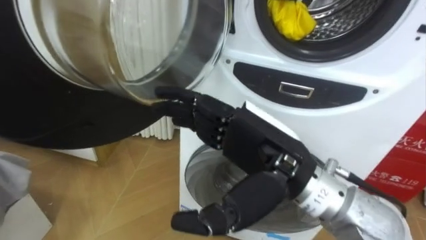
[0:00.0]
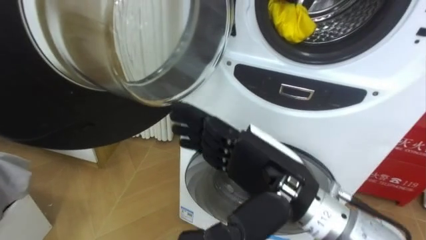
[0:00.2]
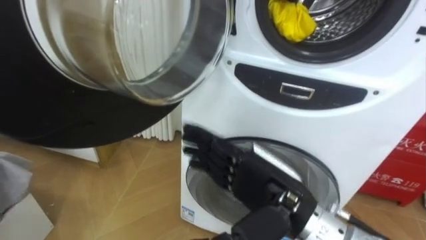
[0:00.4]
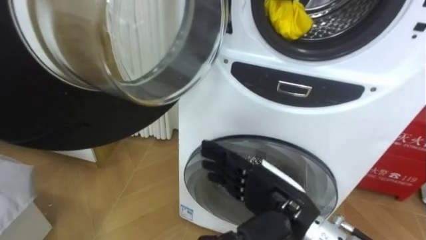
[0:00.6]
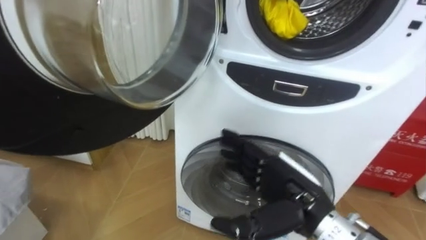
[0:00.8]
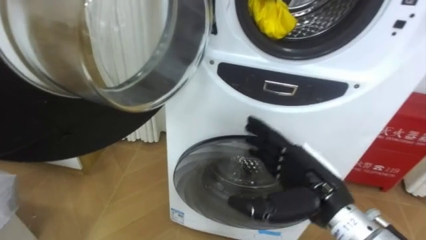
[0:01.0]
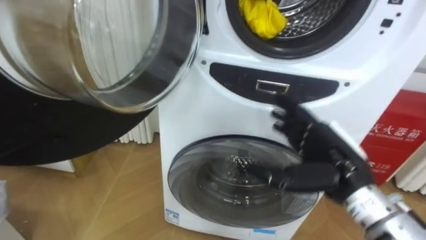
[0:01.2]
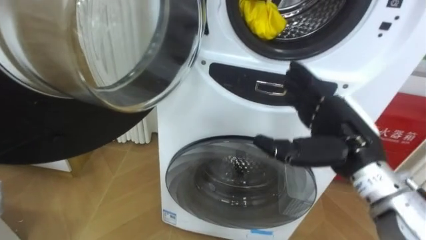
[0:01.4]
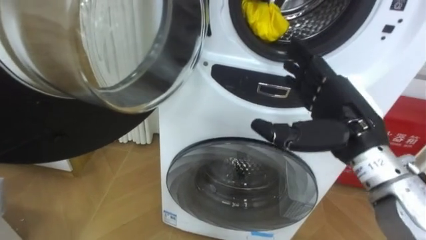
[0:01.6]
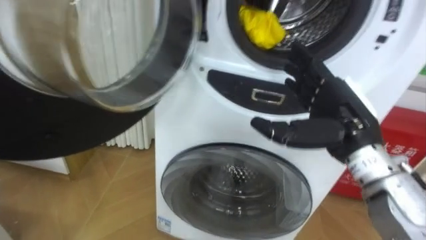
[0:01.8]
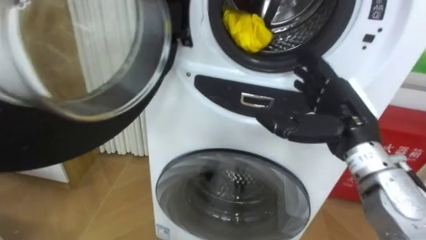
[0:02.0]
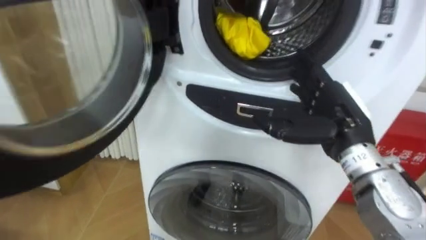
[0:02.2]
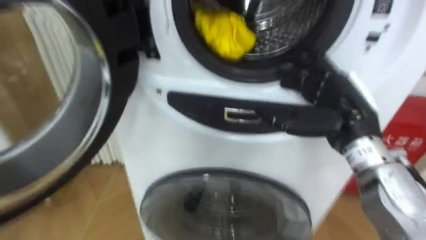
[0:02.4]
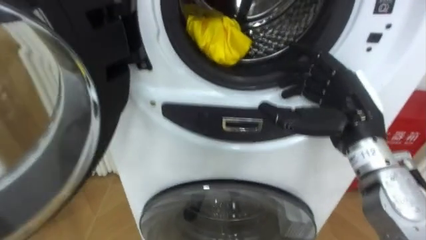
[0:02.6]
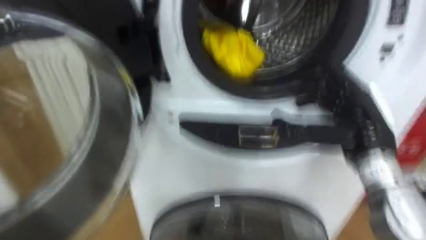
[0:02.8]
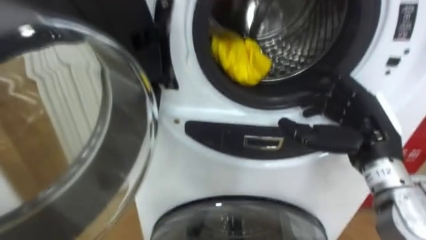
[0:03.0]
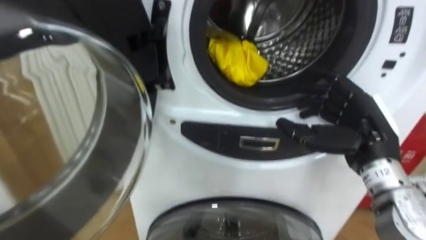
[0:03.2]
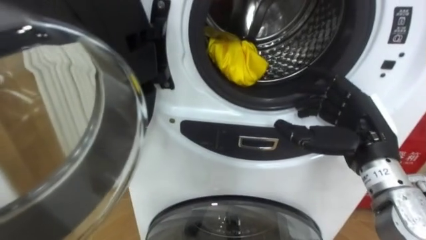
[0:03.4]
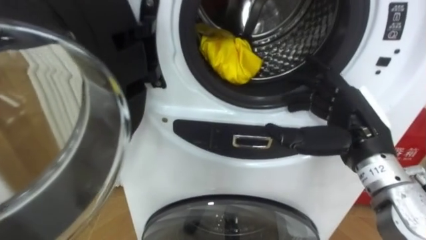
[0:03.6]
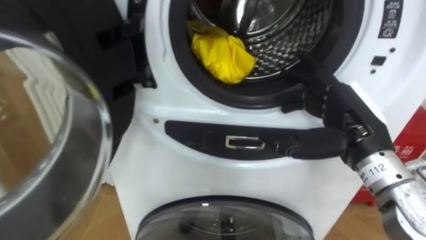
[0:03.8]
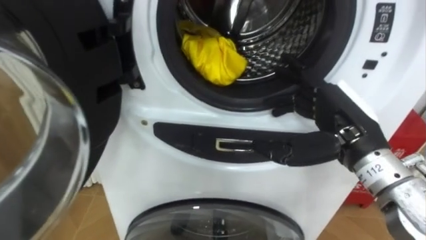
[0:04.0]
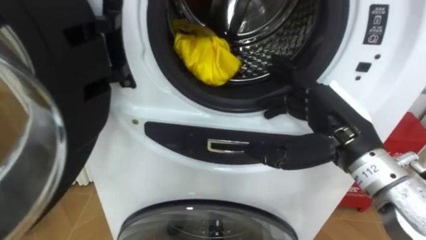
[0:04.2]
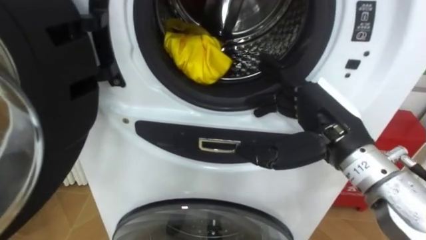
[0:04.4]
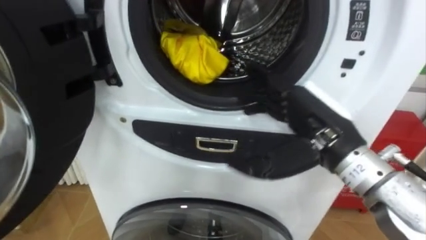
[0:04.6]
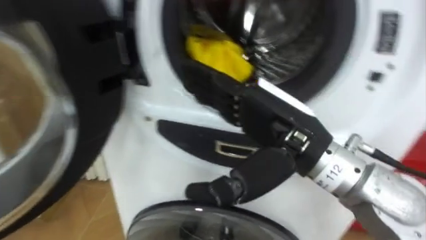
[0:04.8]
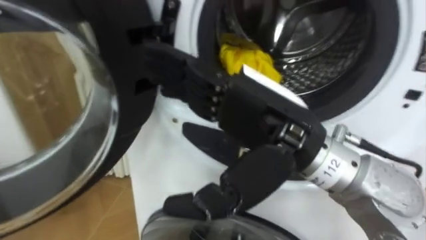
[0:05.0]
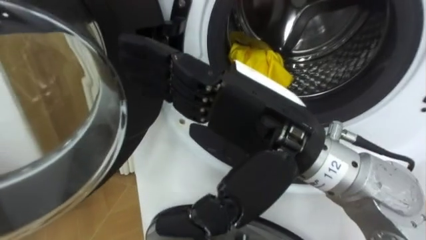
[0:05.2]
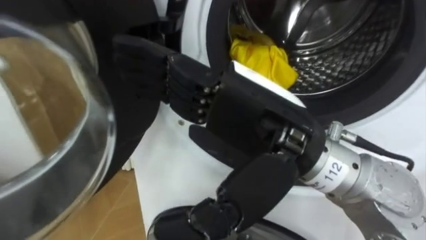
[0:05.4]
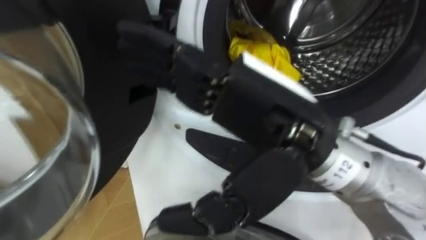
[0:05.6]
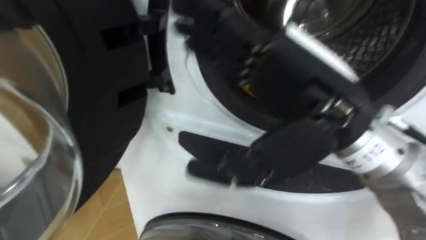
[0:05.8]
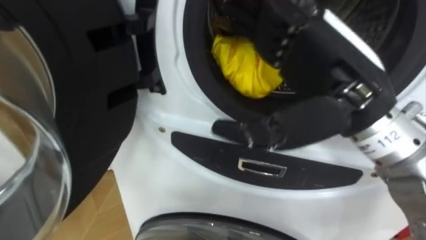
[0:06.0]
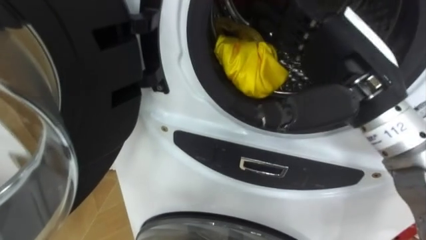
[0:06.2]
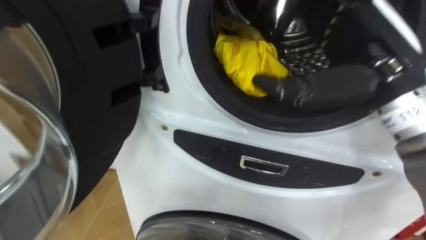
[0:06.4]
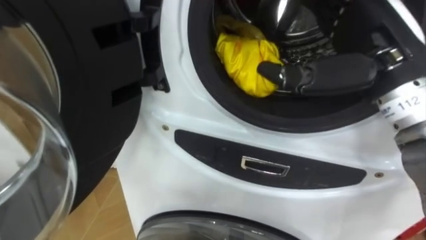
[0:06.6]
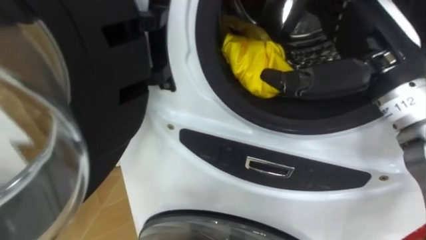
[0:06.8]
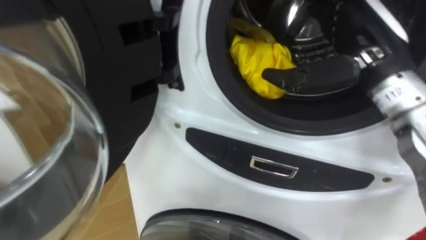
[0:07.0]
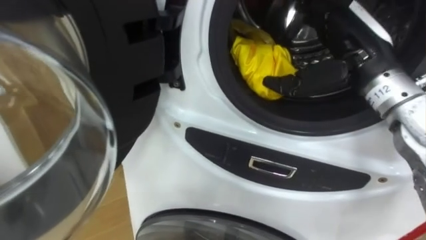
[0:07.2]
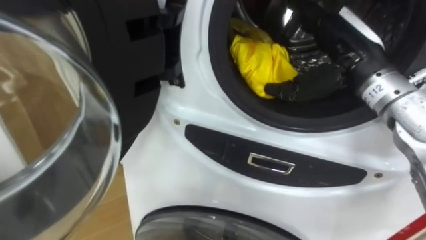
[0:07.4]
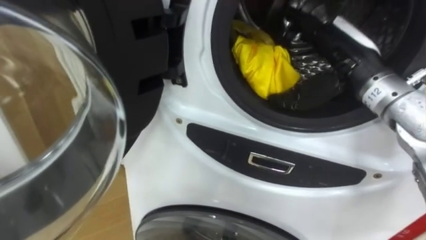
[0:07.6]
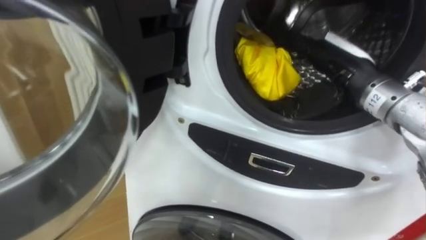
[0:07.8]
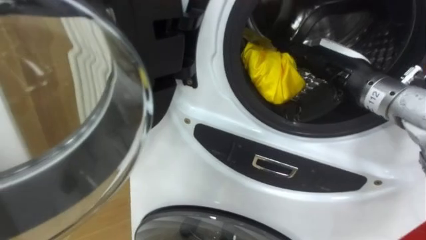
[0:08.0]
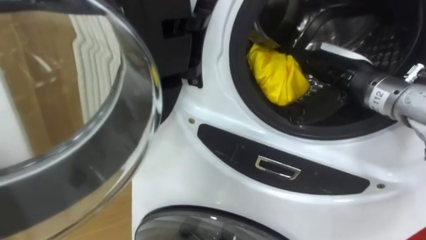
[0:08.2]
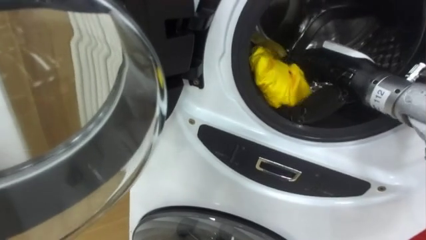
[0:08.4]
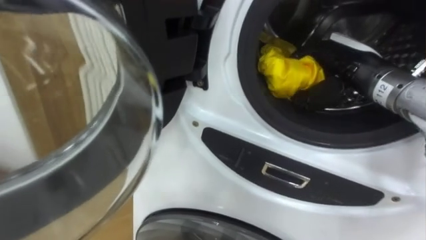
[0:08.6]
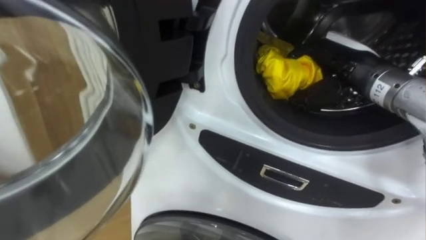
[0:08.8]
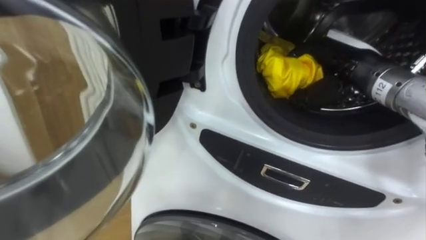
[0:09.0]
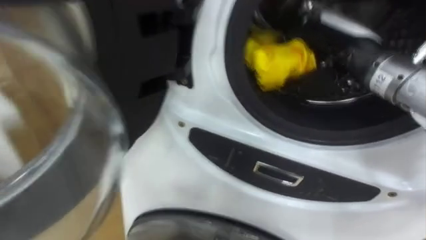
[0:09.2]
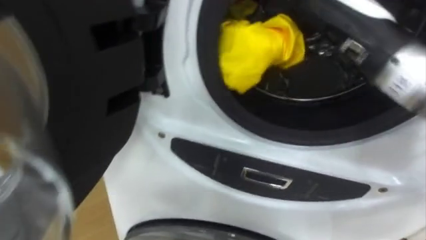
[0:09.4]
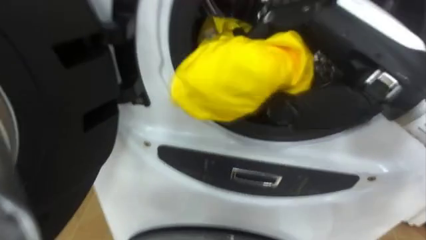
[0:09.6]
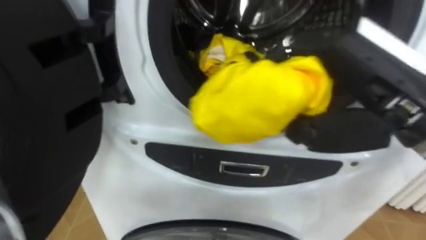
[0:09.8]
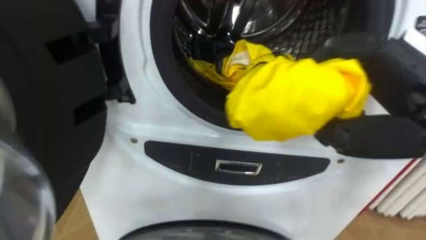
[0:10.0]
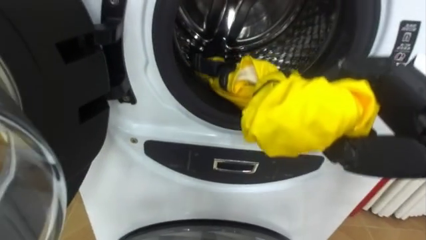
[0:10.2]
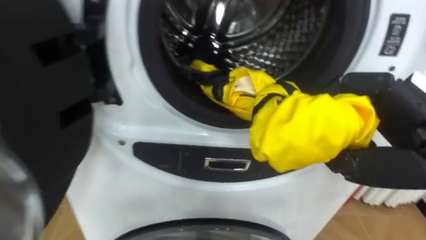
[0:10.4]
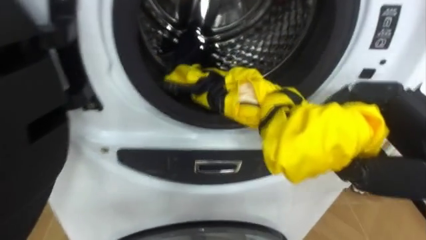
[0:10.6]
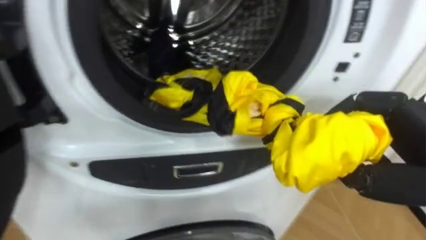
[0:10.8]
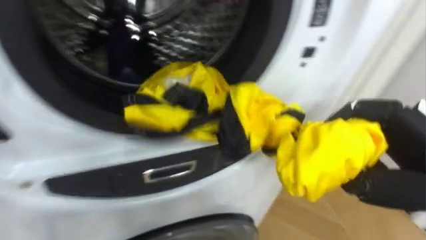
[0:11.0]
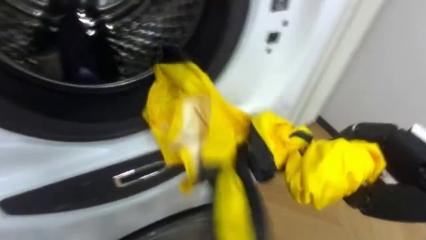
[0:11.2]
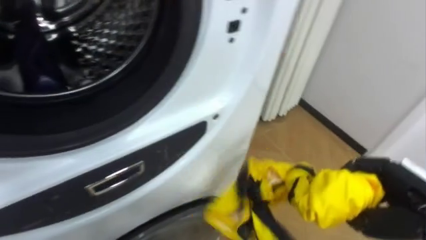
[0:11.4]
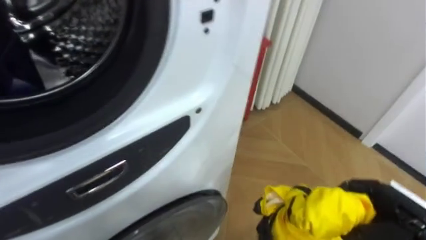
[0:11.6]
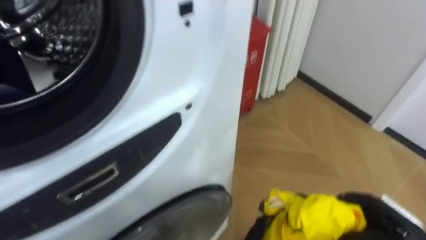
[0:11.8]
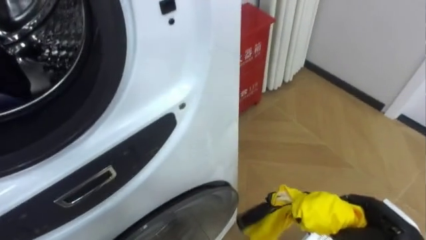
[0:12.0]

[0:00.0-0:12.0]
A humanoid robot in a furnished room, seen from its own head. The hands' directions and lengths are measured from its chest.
Task of the whole recording: Open the washing machine door, take out the yellow clothes, place them in the box on the right, and close the washing machine door.
0:00.0 to 0:01.6: The right hand heads to the right and forward, covering about 15 cm.
0:01.6 to 0:03.0: The right hand shifts by roughly 5 cm.
0:03.0 to 0:04.4: The right hand heads to the left, covering some 10 cm.
0:04.4 to 0:06.0: The right hand shifts roughly 10 cm upward, and reaches approximately 10 cm to the left, then returns.
0:06.0 to 0:07.6: The right hand moves forward and to the right, some 15 cm.
0:07.6 to 0:09.0: The right hand closes its fingers.
0:09.0 to 0:10.4: The right hand shifts about 15 cm backward.
0:10.4 to 0:12.0: The robot rotates some 25 degrees to its right. The right hand is displaced downward by about 25 cm.

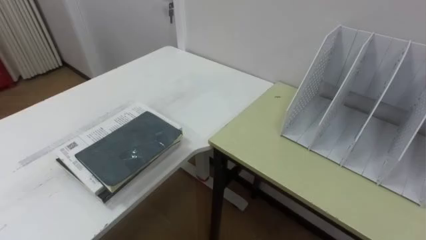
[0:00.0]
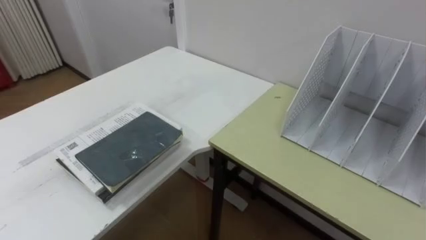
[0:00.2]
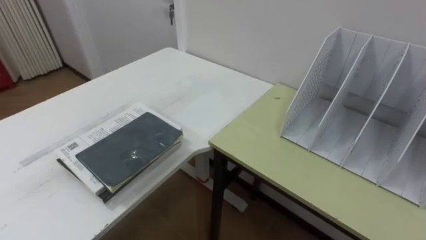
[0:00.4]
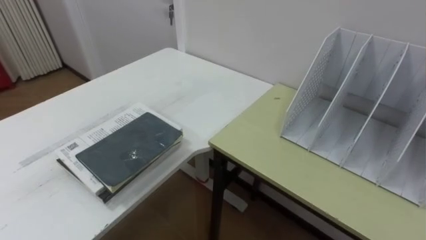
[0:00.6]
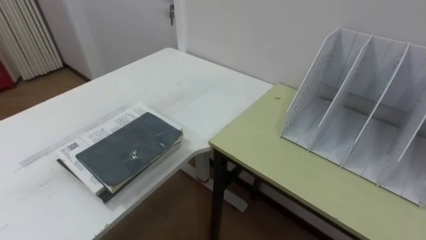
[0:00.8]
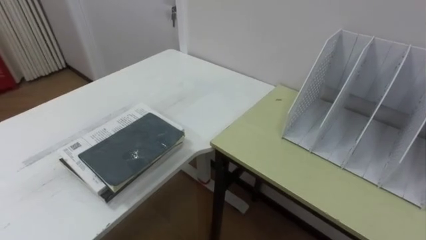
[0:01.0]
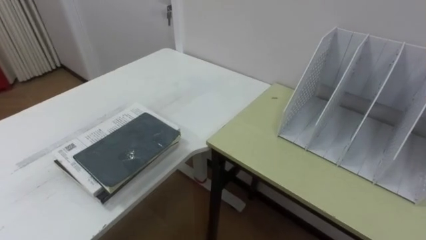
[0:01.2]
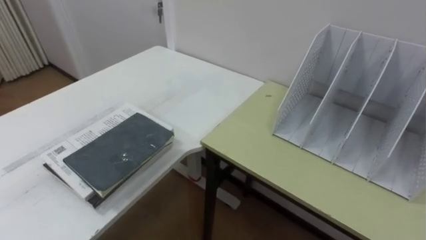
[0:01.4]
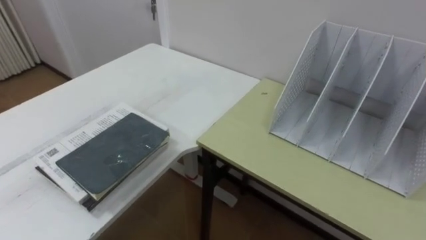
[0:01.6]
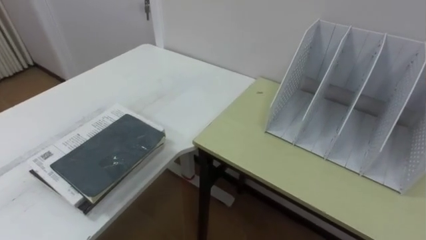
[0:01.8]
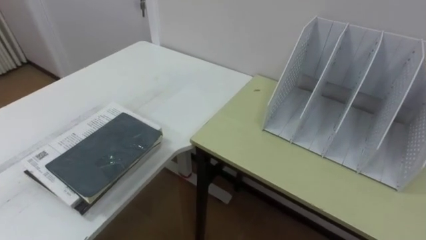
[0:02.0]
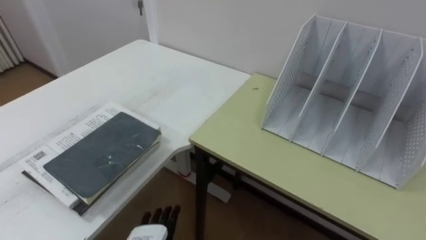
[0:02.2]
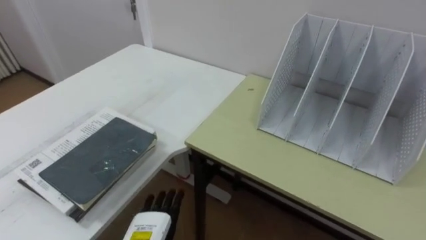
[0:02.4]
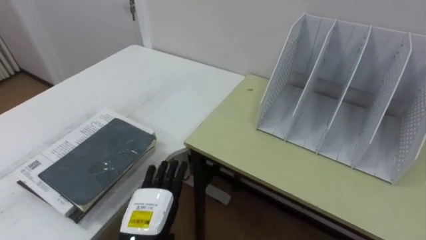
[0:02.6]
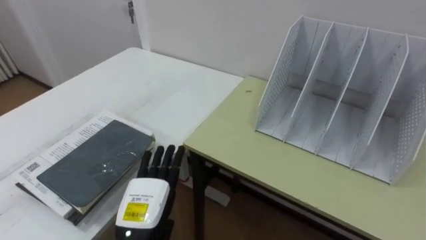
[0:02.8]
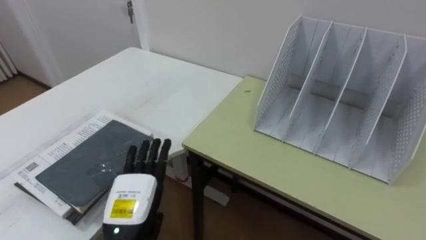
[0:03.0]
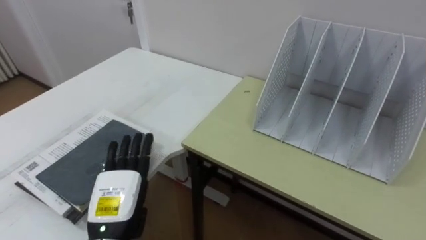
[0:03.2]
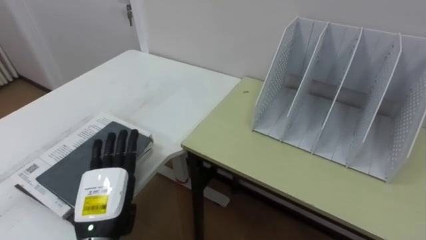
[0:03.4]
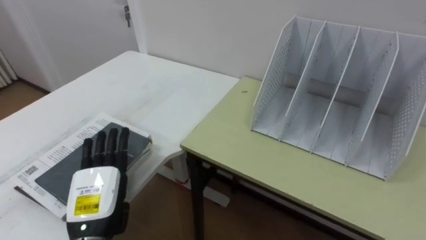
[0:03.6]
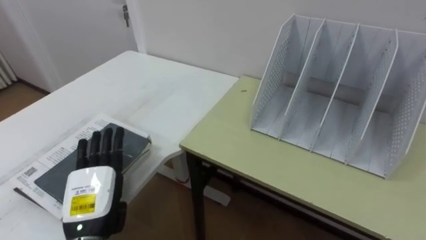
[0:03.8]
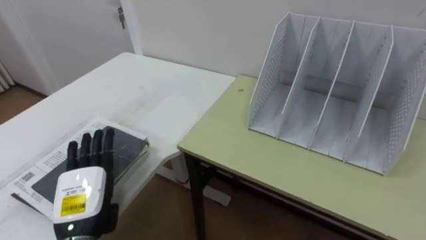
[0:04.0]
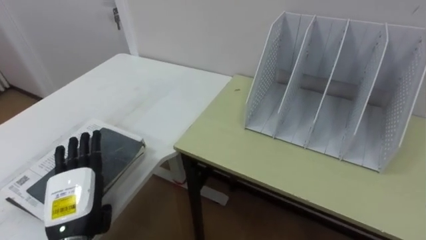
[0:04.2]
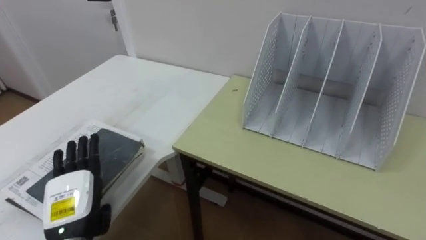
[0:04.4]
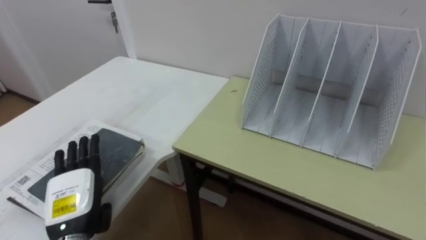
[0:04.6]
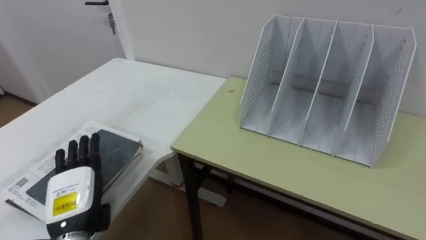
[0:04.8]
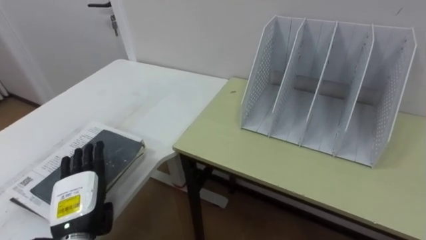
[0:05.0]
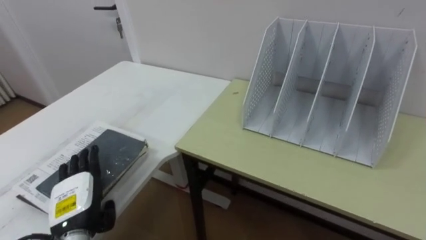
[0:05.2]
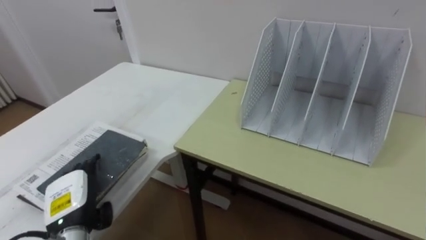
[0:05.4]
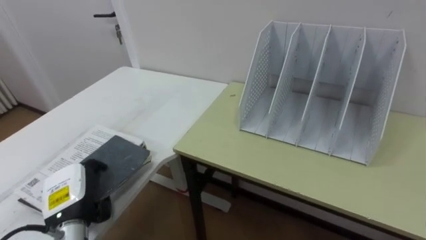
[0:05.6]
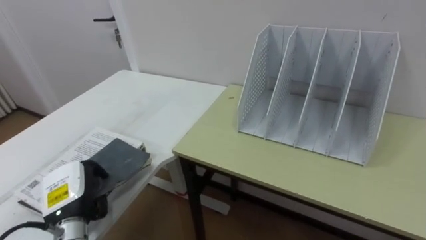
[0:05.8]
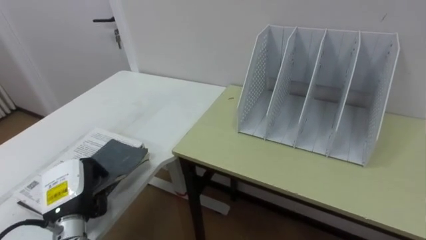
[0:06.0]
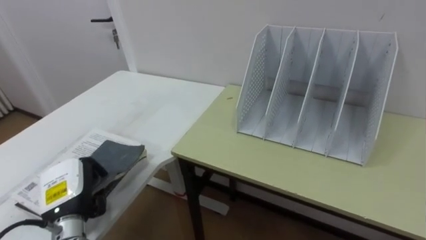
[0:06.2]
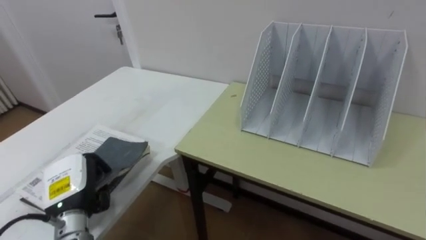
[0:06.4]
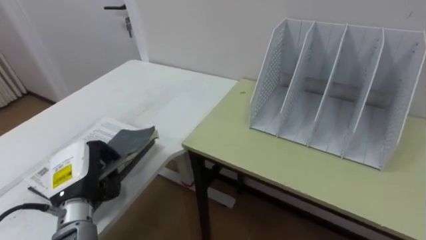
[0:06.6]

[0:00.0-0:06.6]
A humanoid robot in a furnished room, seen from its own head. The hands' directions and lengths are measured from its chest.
Task of the whole recording: Put the books on the table onto the bookshelf.
0:03.2 to 0:05.0: The left hand travels to the left by about 10 cm.
0:05.0 to 0:06.6: The left hand closes its fingers.
